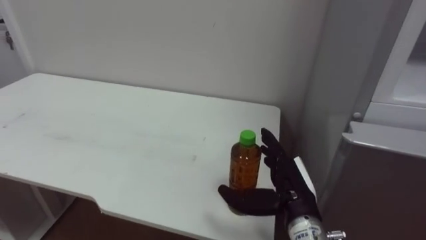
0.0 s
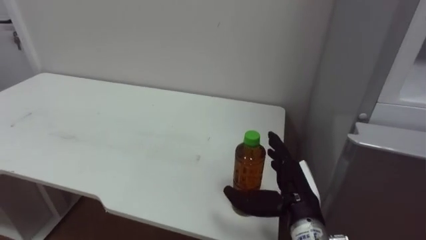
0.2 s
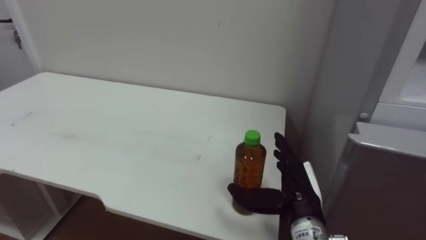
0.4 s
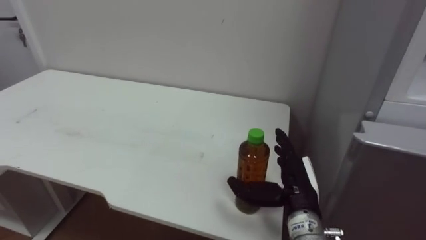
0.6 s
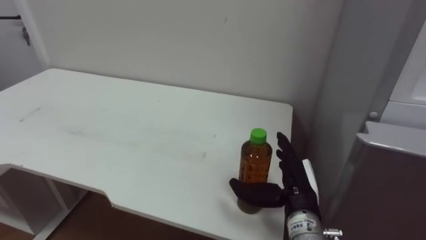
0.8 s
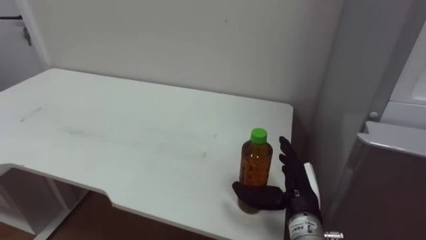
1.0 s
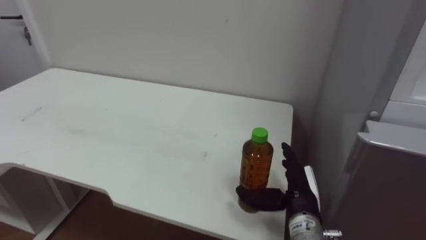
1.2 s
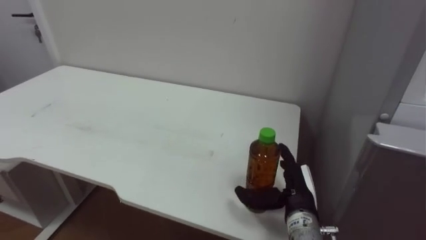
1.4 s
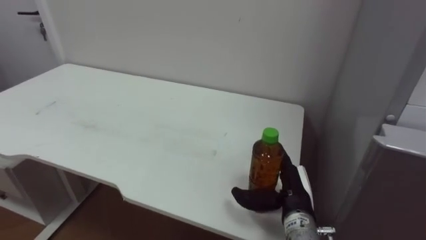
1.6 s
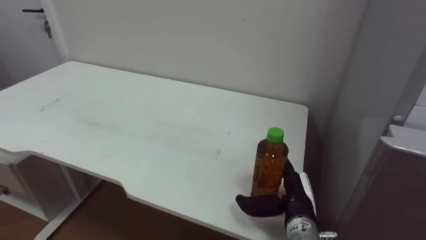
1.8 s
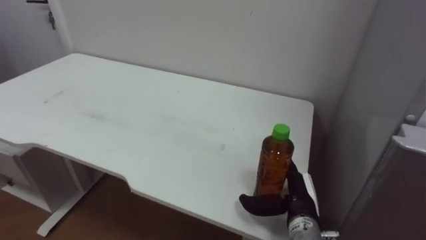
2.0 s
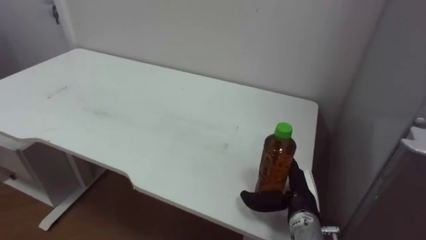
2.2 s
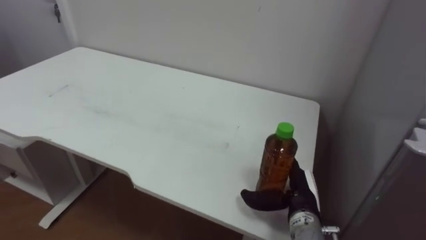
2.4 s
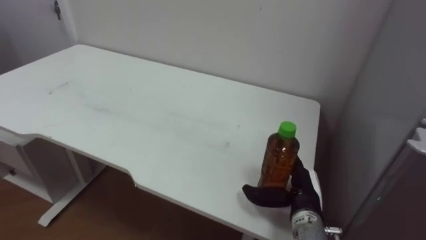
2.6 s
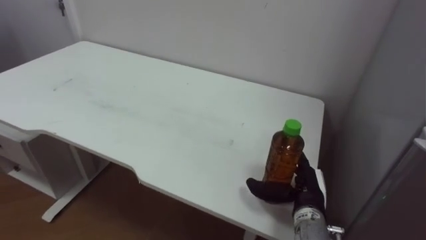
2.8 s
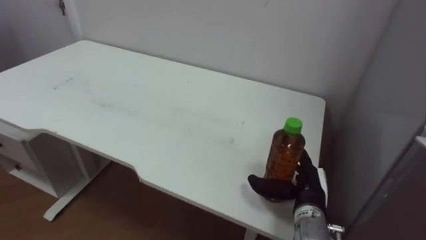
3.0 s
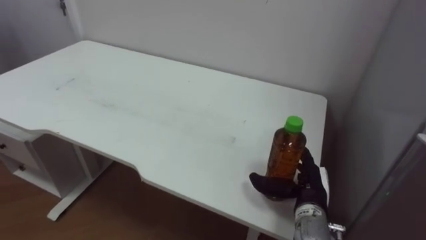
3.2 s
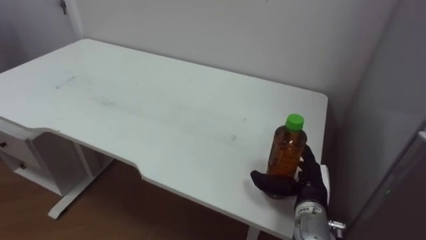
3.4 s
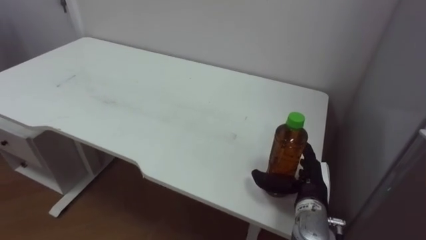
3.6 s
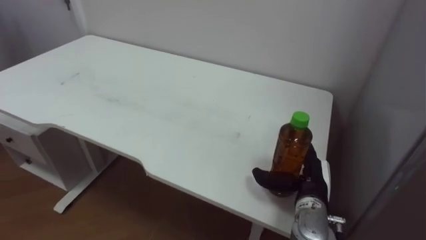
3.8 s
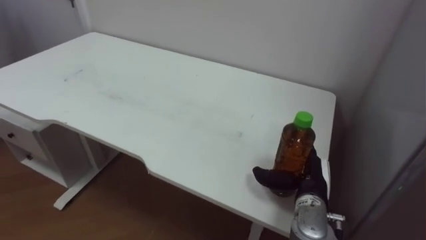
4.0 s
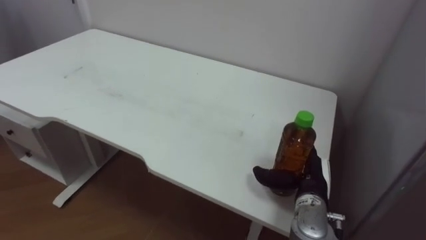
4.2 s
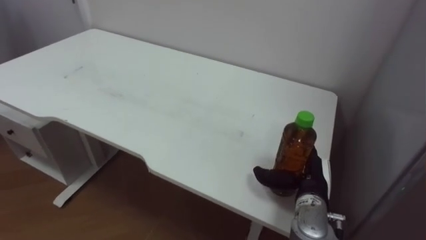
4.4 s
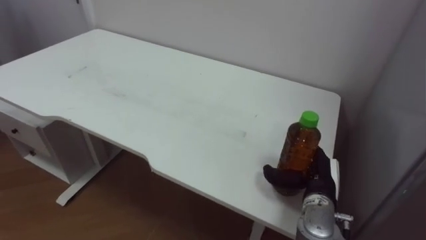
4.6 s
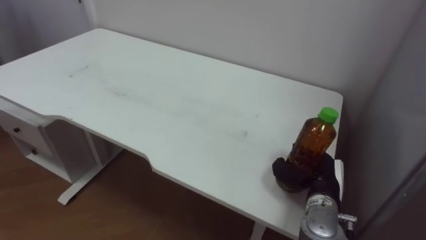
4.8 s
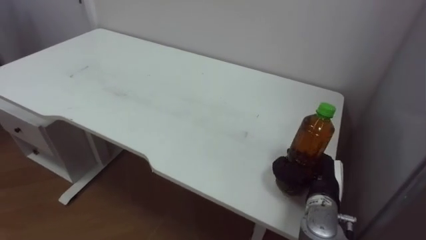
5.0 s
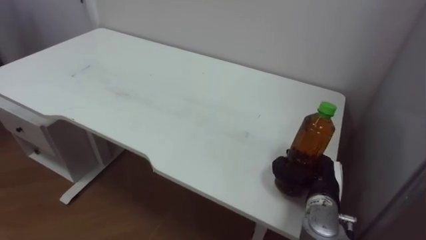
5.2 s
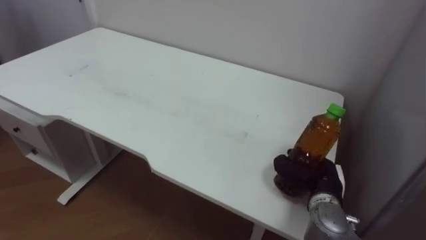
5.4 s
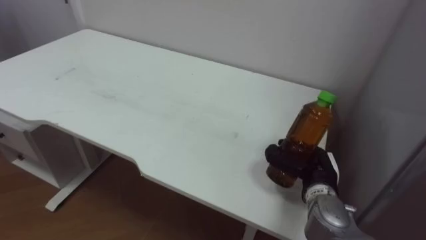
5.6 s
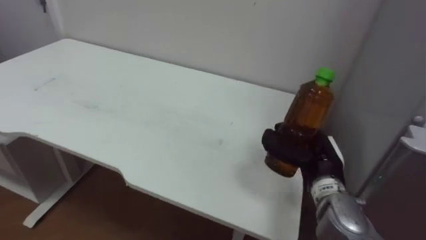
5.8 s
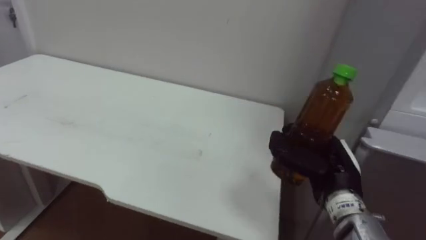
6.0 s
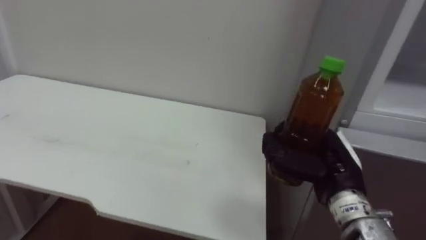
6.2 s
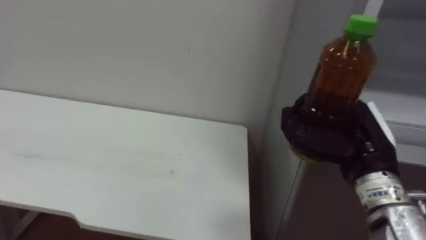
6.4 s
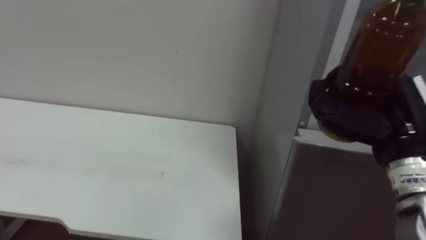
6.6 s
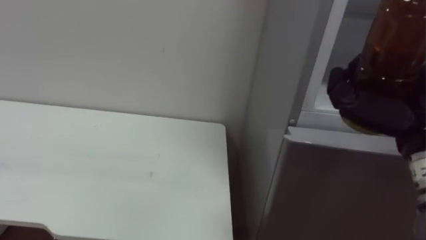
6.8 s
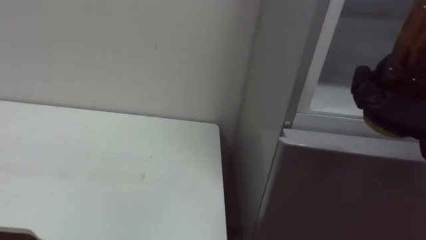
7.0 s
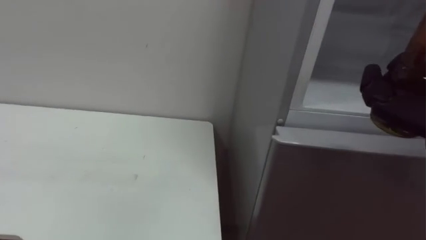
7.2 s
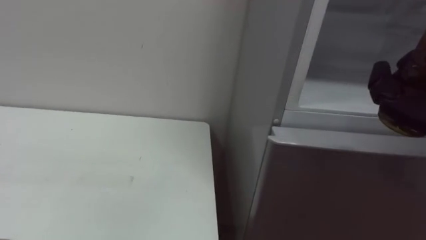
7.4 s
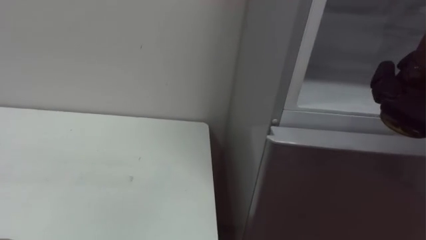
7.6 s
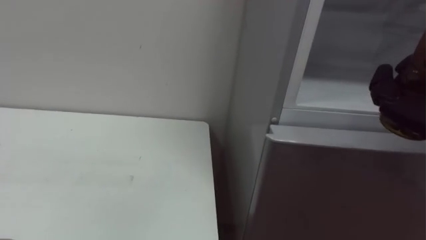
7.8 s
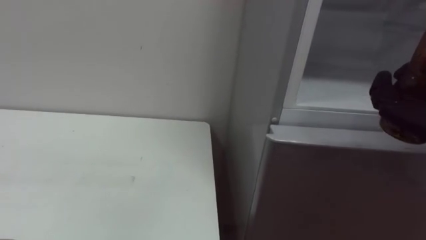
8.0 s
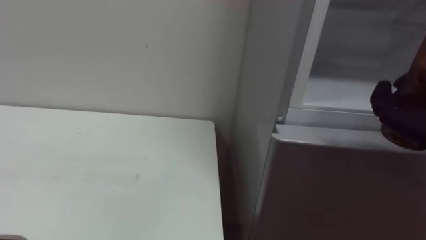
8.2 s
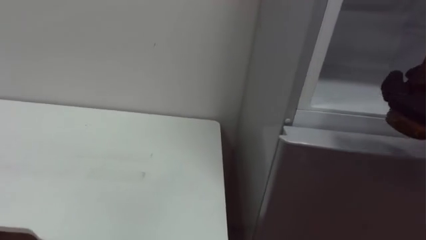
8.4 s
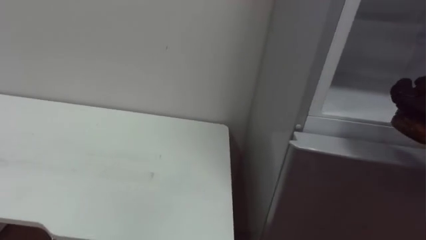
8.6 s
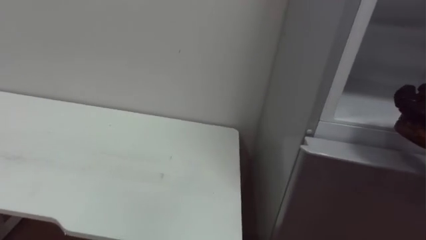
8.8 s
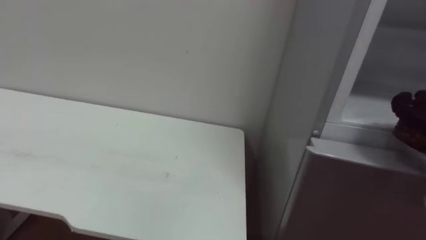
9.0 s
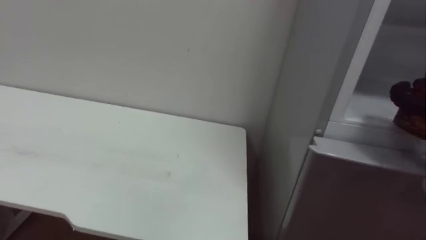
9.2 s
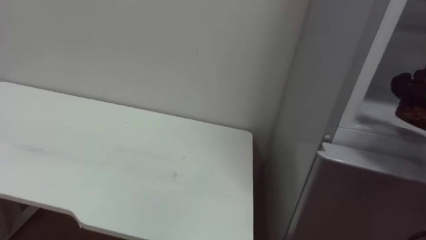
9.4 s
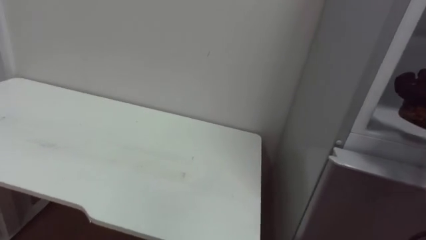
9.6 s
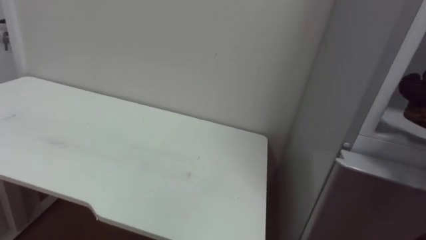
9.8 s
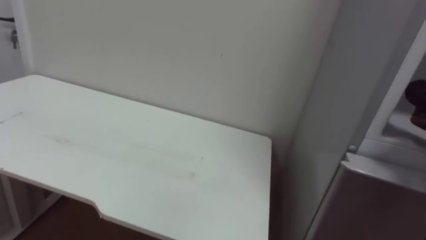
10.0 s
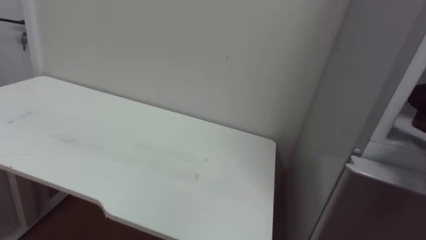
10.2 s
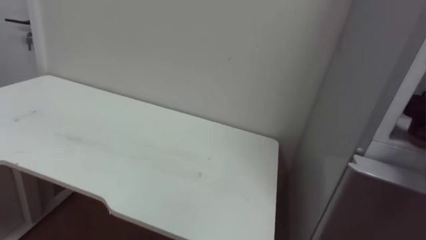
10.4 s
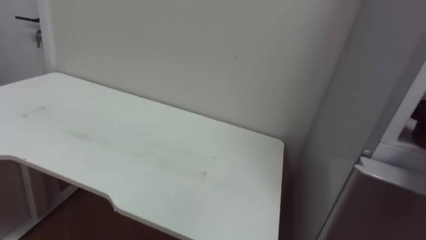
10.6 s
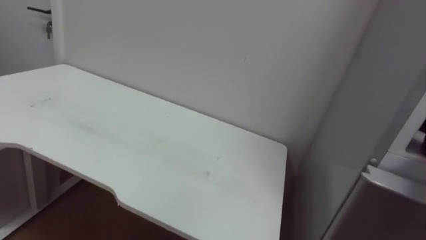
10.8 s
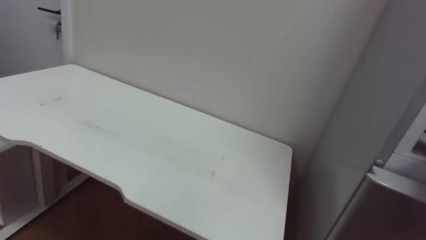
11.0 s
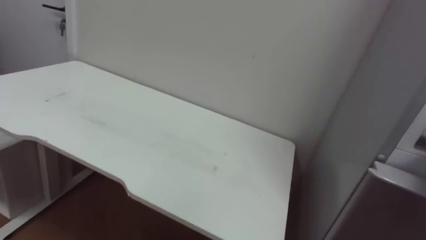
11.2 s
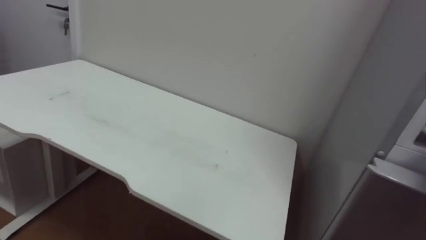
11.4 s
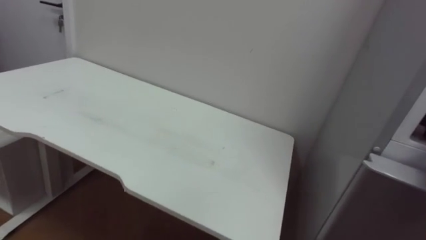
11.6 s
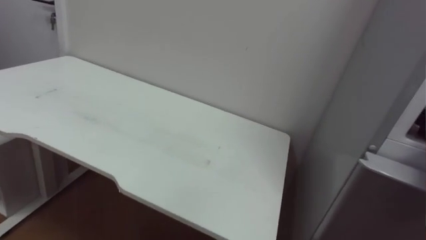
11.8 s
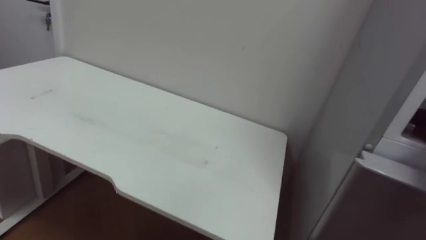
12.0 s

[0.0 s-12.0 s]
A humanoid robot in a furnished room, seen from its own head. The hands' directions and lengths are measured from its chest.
Task of the whole recording: Open the upper refrigerator door, put the drink from the table into the refrigerator, and then close the refrigerator door.
0.0 to 1.6 s: The right hand moves approximately 5 cm.
4.4 to 6.0 s: The right hand shifts roughly 5 cm upward, and closes up.

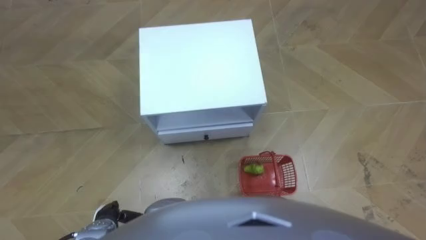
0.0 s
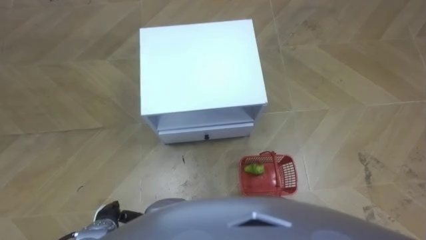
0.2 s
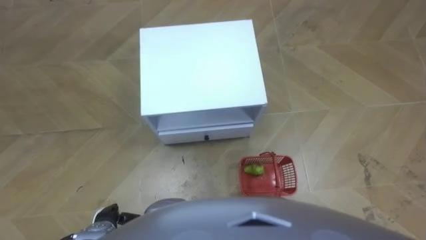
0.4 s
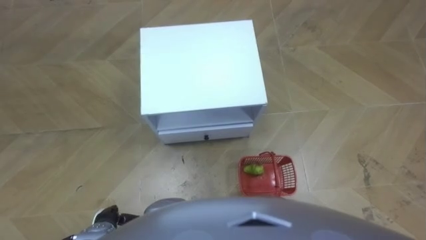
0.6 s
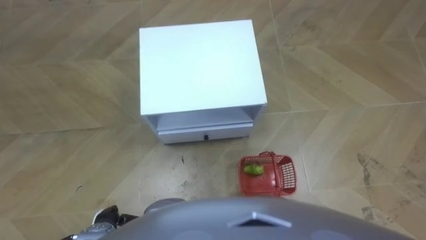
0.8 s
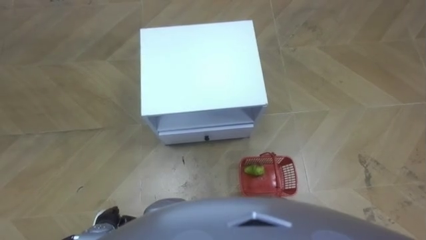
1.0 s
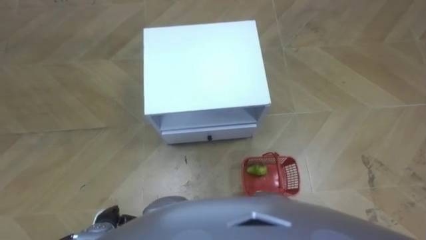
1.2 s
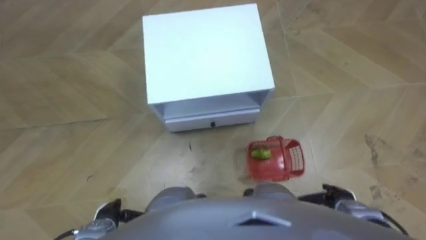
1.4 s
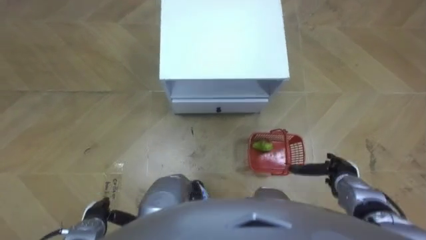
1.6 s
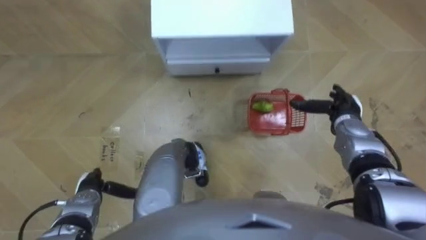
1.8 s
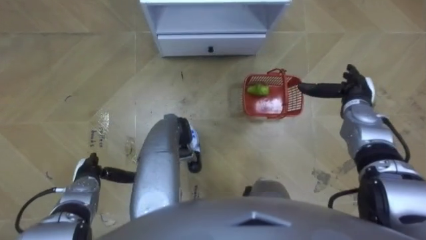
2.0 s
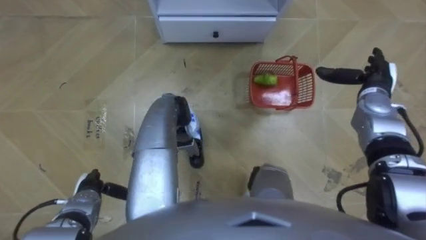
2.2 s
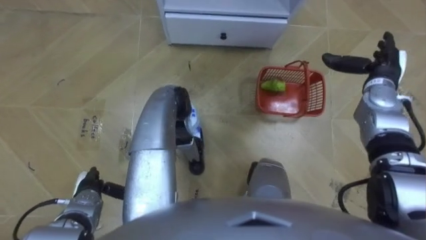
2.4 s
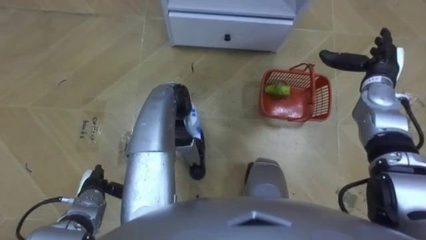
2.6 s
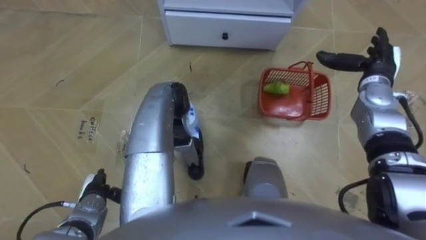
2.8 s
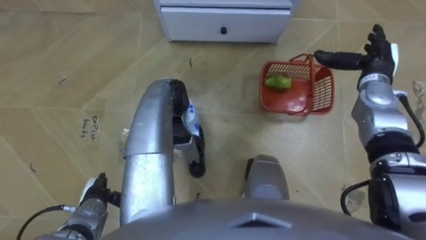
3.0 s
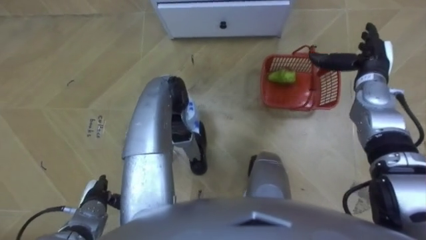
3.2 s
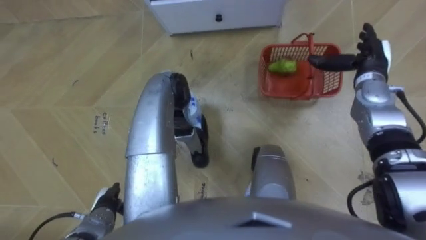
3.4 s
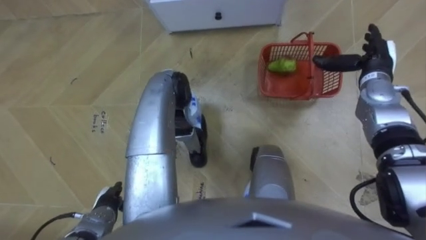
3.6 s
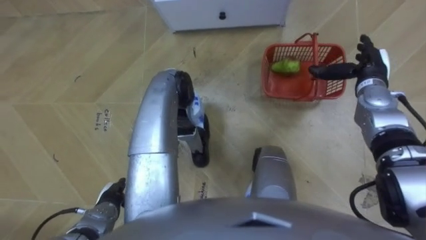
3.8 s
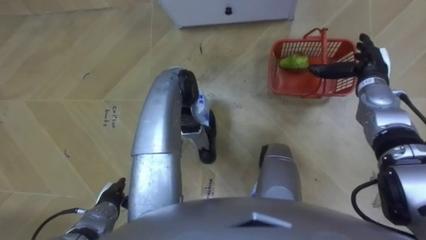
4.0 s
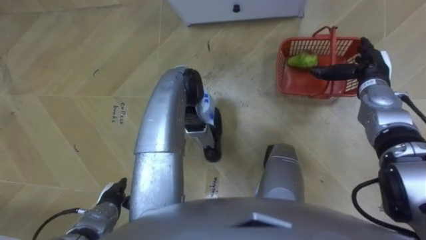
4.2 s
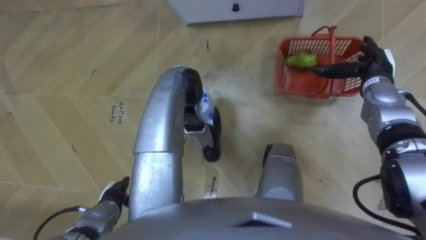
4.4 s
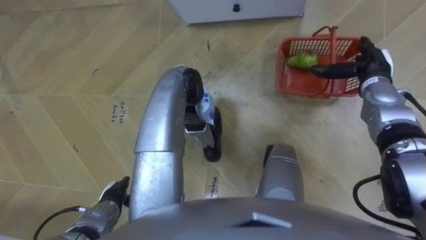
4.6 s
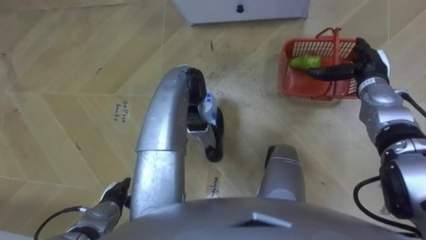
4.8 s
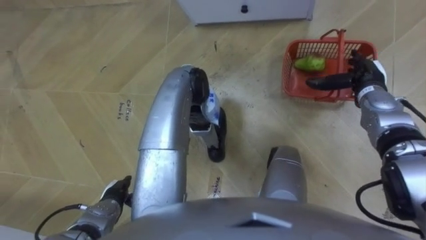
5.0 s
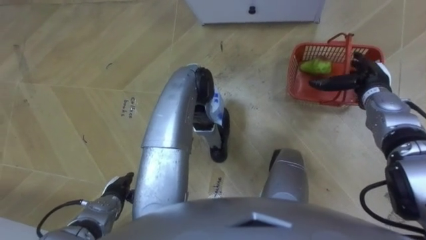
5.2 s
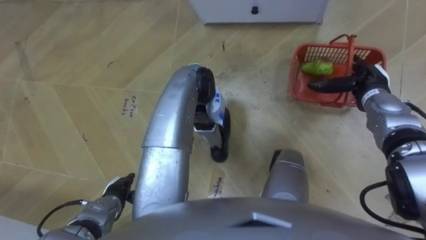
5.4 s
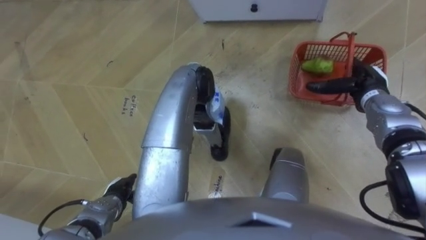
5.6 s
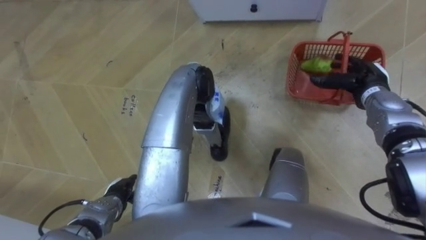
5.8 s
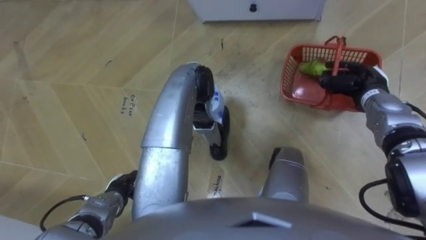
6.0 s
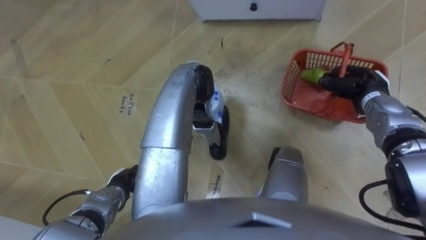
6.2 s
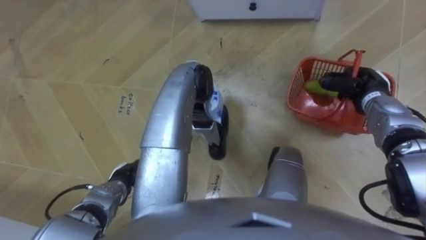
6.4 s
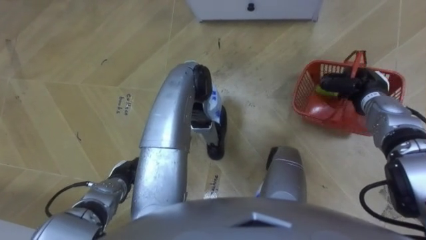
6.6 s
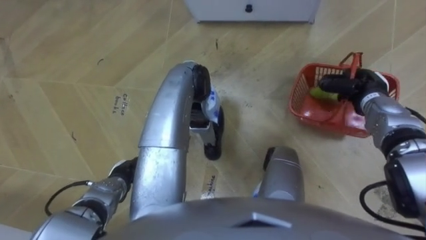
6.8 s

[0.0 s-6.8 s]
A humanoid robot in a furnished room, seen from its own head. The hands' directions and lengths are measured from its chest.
Task of the whole recording: Pick up the fruit basket from the floor and place it on the cabinet.
1.4 to 2.8 s: The left hand travels forward by approximately 5 cm. The right hand heads forward and upward, covering roughly 30 cm.
5.4 to 6.8 s: The right hand closes up.
